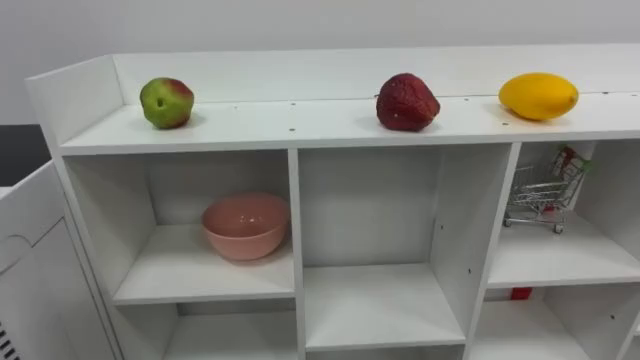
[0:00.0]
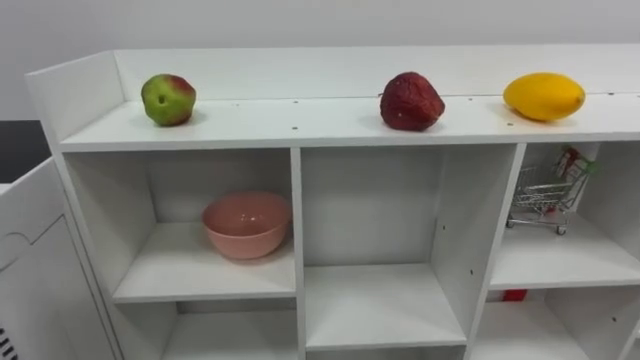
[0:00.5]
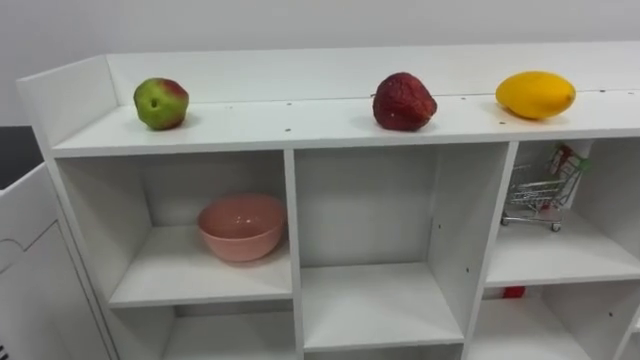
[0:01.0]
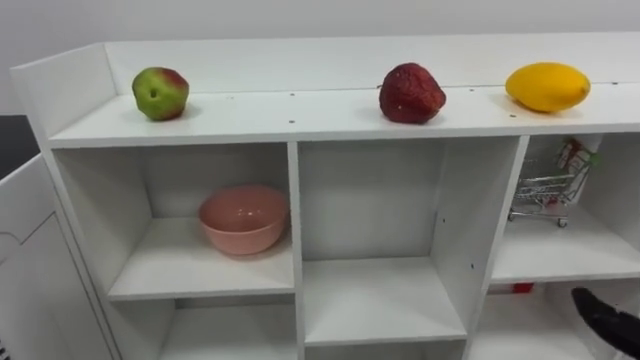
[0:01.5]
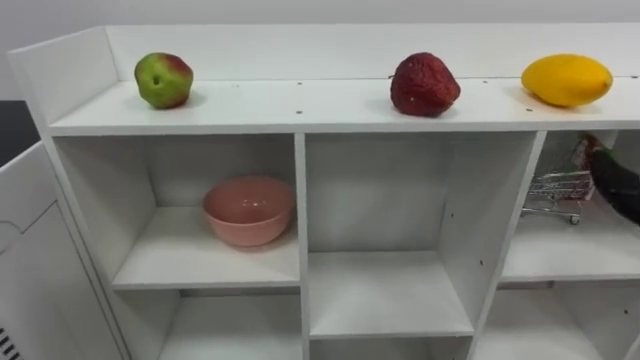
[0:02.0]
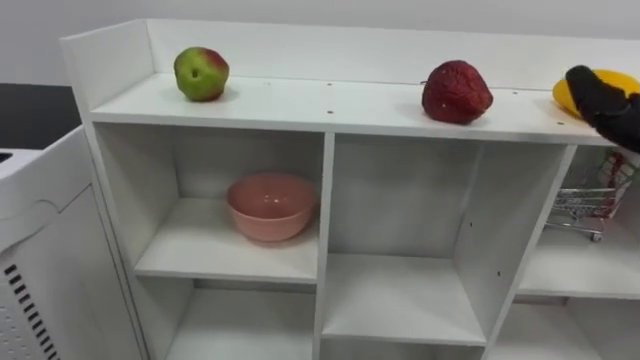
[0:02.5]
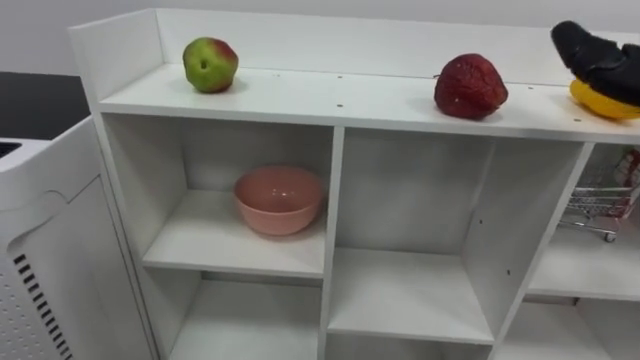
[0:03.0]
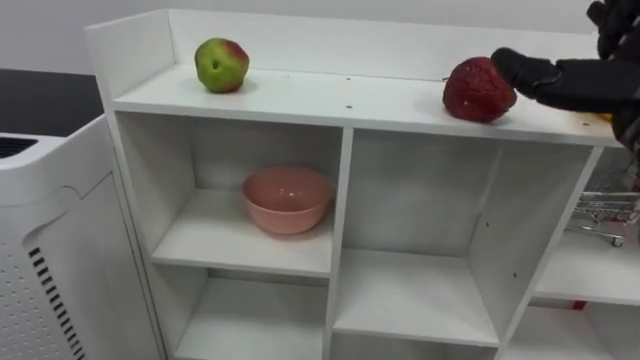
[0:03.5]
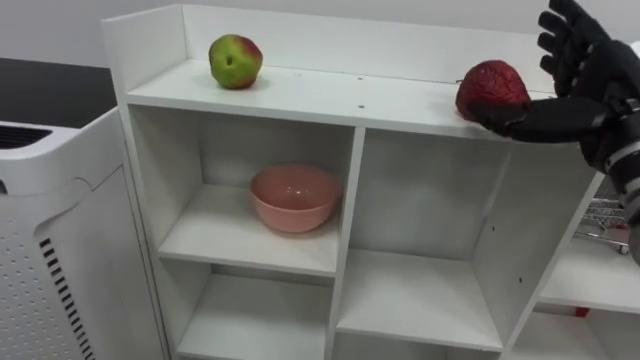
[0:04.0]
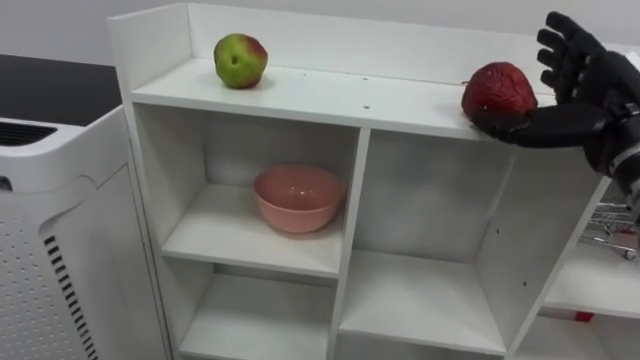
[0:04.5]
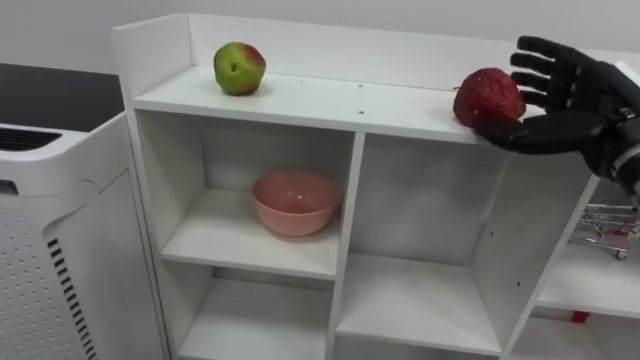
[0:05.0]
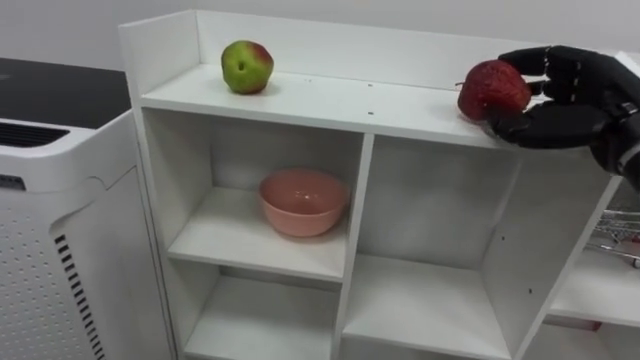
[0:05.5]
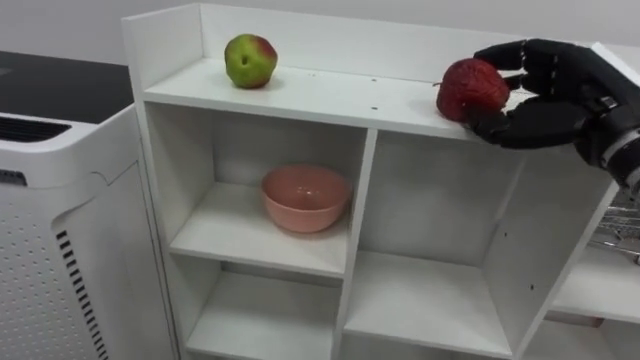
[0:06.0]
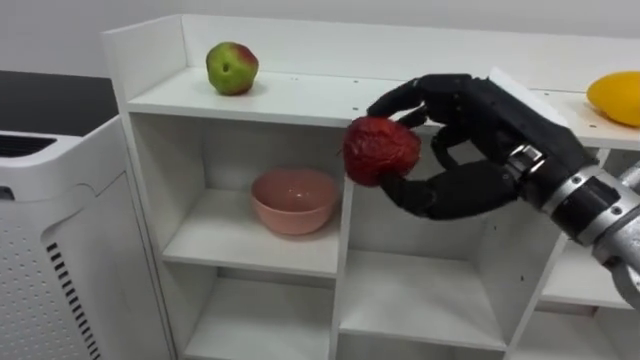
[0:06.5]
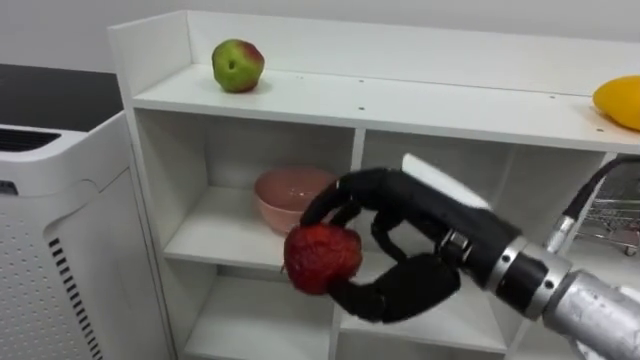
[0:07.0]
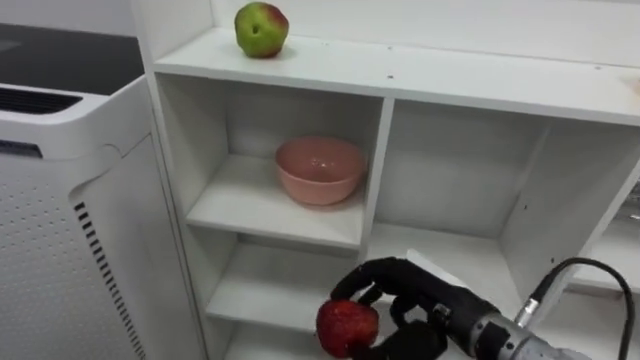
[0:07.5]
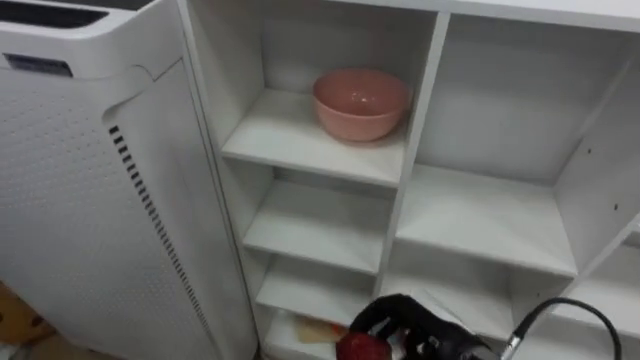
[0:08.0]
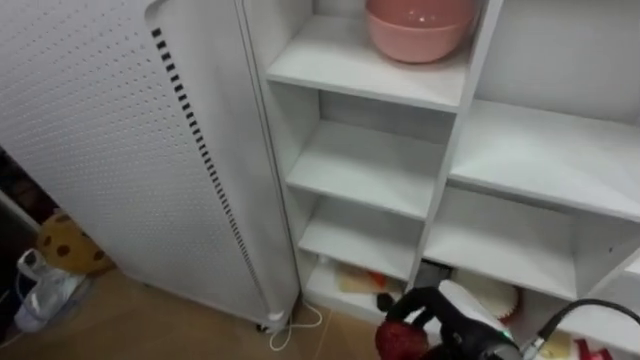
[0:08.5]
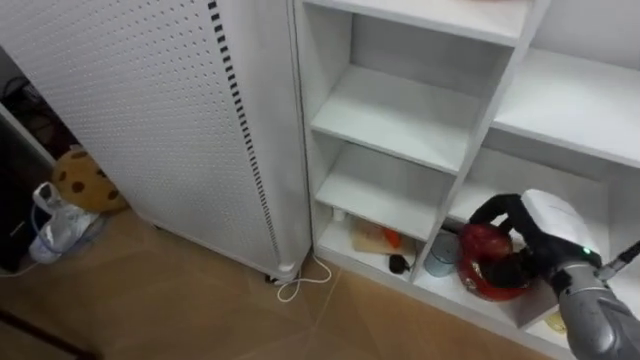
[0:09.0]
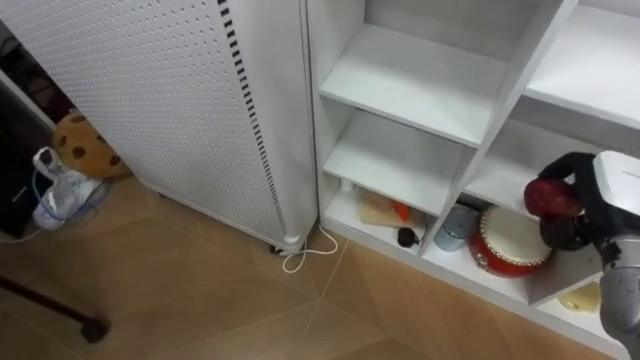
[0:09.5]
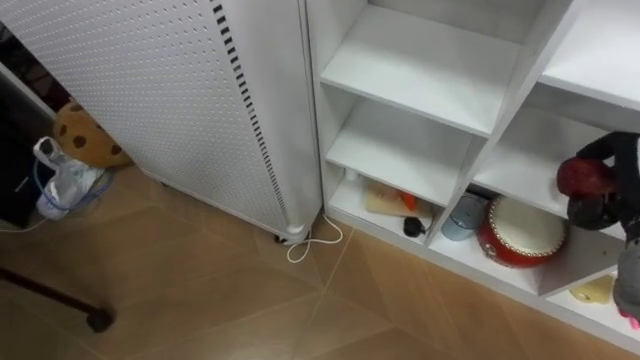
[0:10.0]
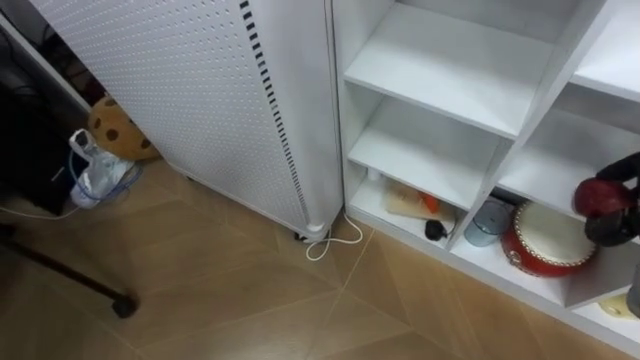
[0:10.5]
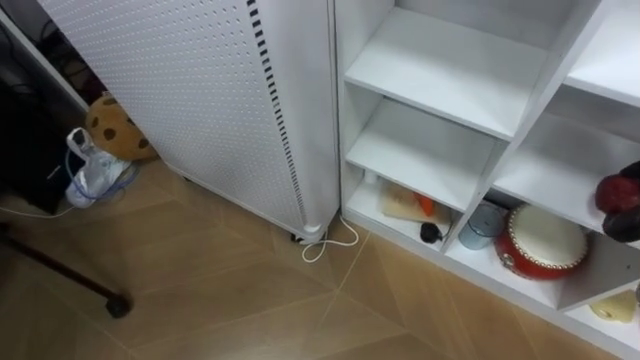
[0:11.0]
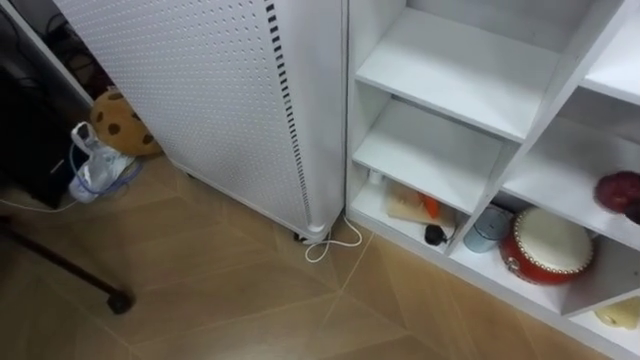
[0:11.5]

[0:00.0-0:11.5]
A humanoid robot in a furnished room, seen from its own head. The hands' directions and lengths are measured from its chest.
Task of the whole recording: Put the apple in the cell in the second column from the left and the second row from the top.
0:04.0 to 0:06.0: The right hand closes up.
0:06.0 to 0:07.5: The right hand travels downward and to the left by about 20 cm.

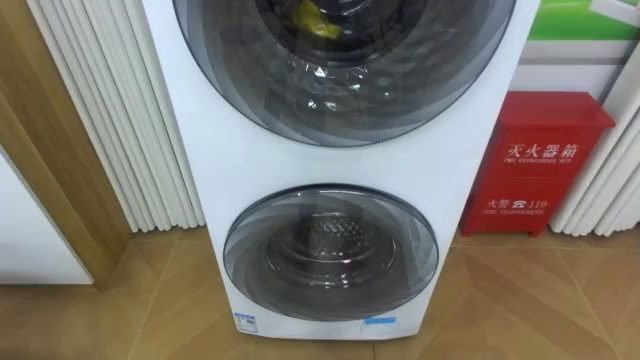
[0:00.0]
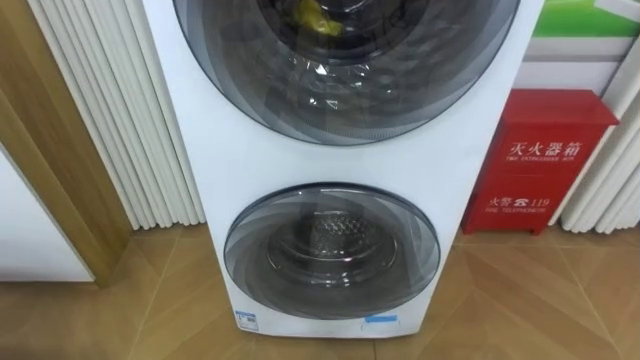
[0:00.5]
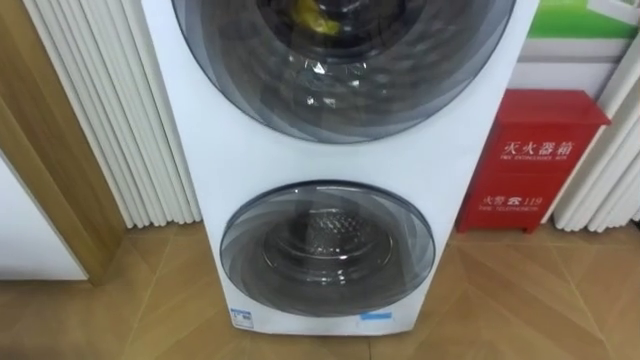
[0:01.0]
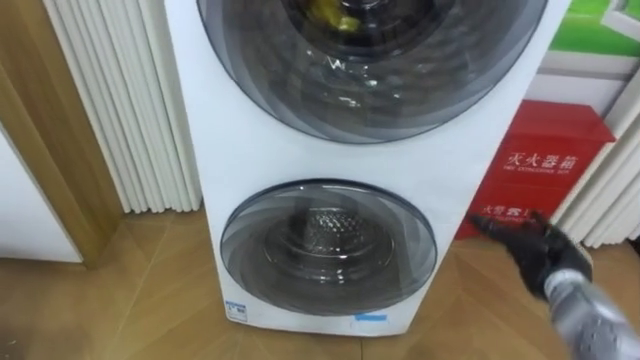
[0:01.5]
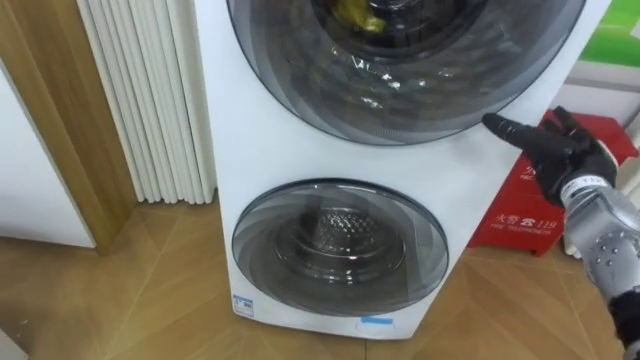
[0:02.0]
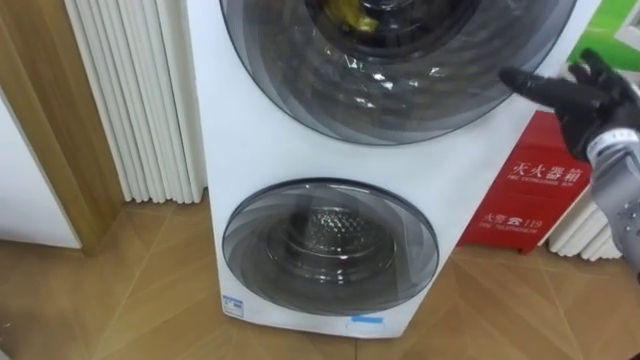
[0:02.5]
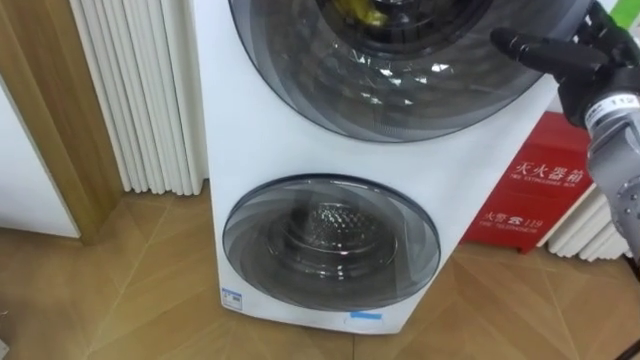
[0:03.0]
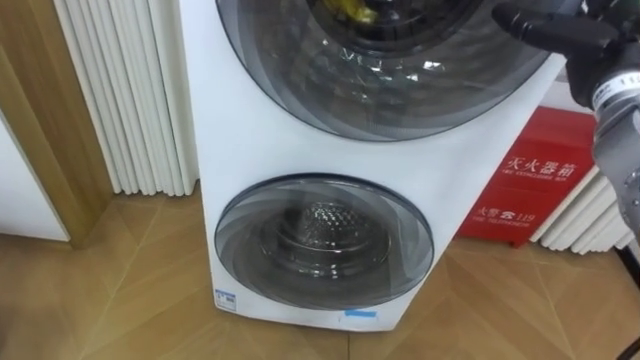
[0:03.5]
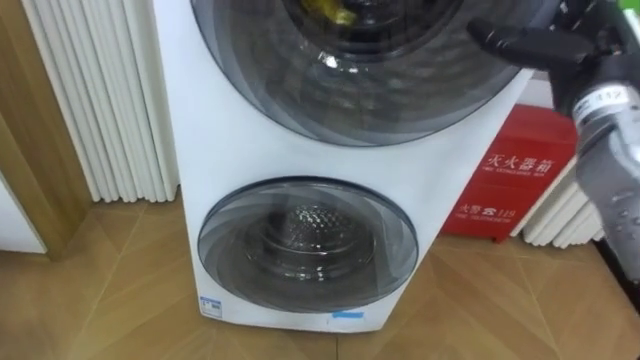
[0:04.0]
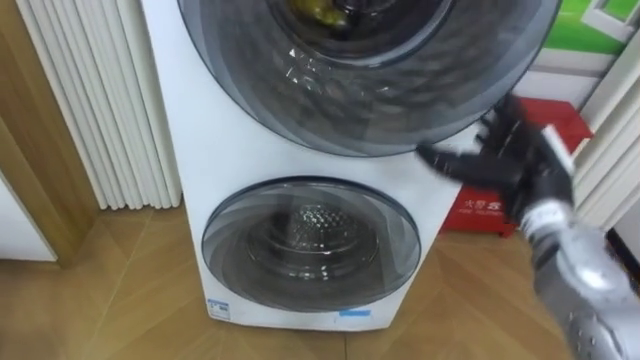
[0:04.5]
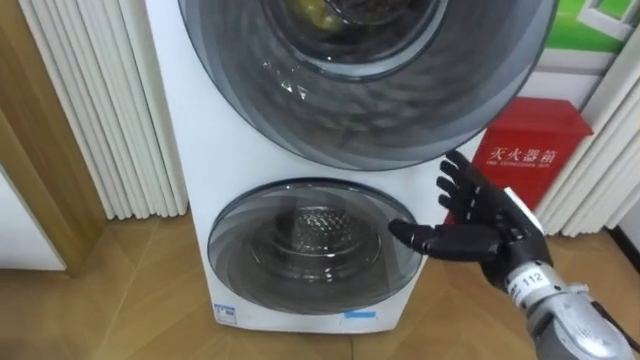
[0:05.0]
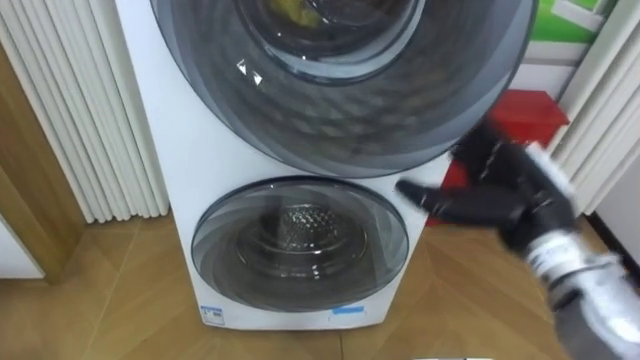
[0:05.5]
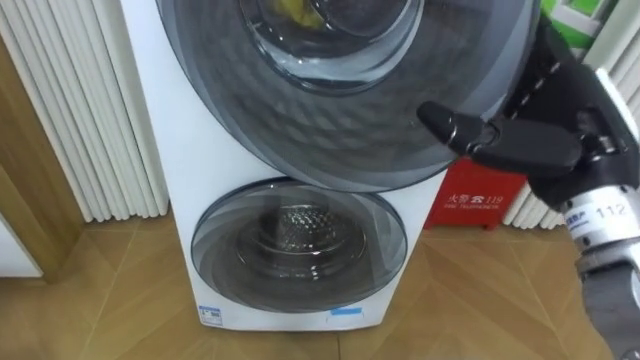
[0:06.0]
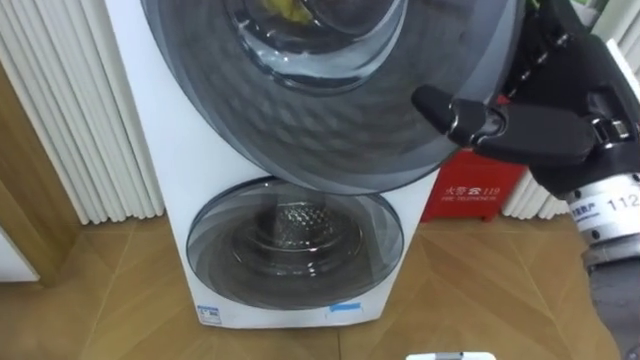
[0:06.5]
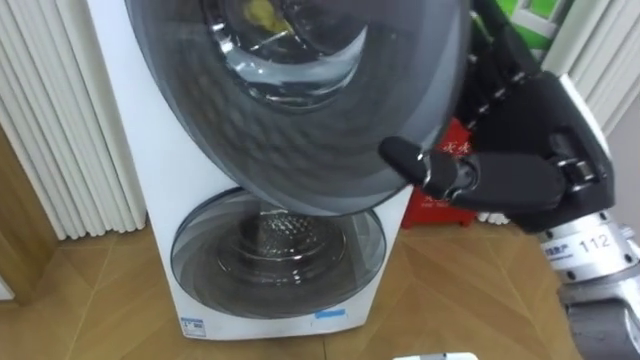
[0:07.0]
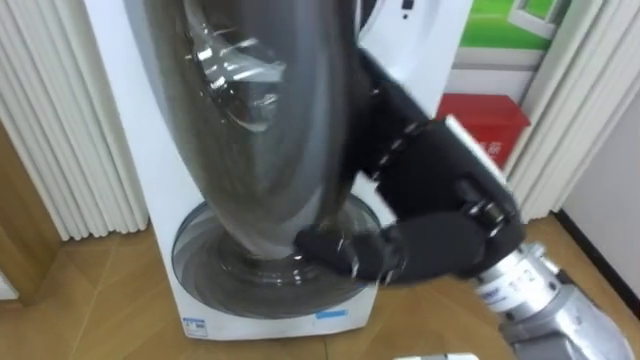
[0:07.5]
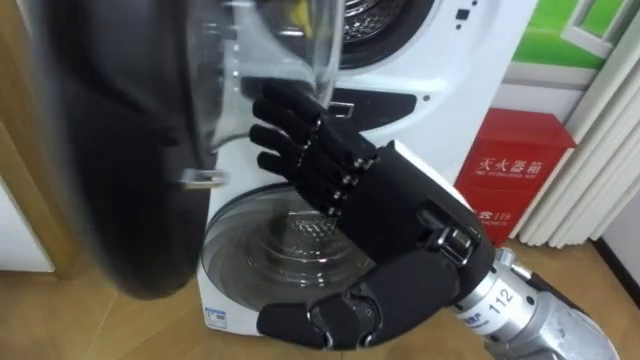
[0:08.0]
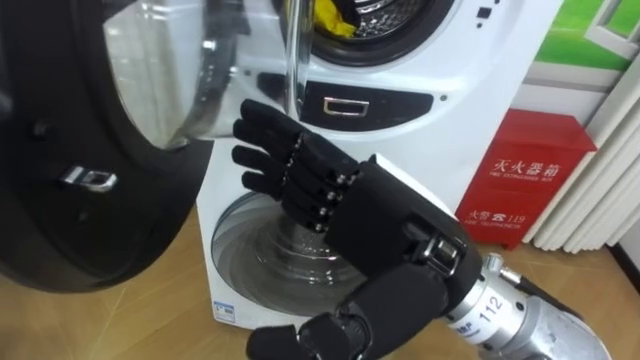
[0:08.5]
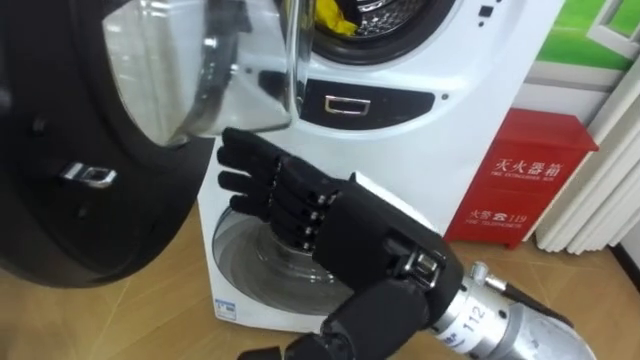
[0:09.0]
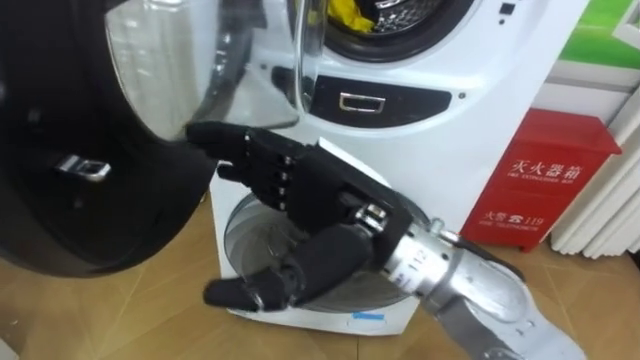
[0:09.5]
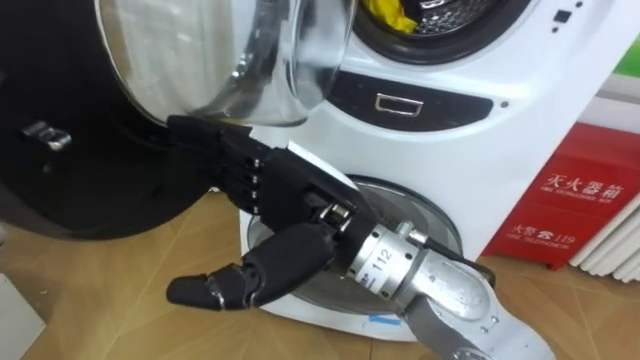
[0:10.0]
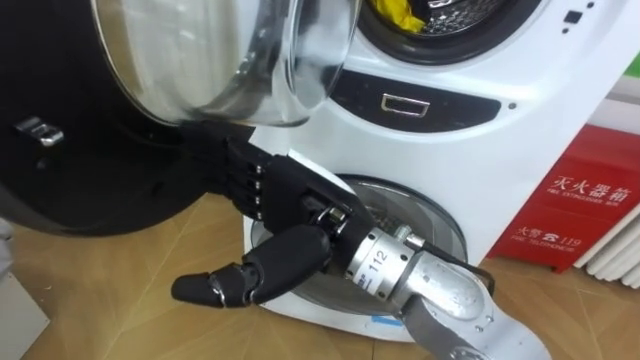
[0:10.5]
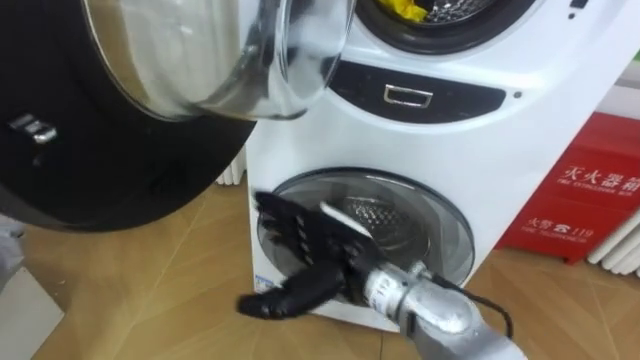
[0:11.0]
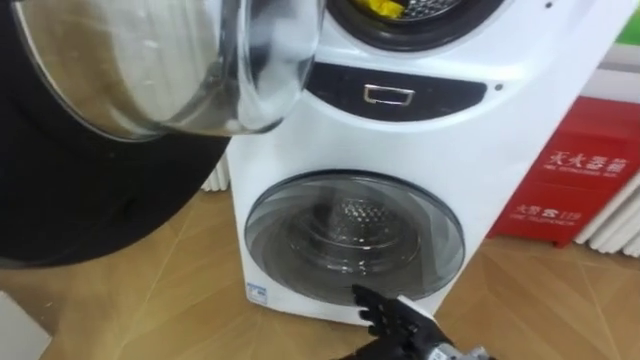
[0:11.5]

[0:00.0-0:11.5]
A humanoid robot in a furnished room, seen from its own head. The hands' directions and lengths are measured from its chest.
Task of the whole recording: Open the washing machine door, take out the yellow clothes, place them in the box on the right, and close the washing machine door.
0:02.0 to 0:04.0: The right hand heads upward, covering roughly 15 cm.
0:04.0 to 0:06.0: The right hand heads backward, covering some 10 cm, and moves roughly 15 cm downward and comes back.
0:06.0 to 0:07.5: The right hand goes some 10 cm to the left.
0:07.5 to 0:09.5: The right hand is displaced to the left by roughly 10 cm.
0:09.5 to 0:11.5: The right hand travels downward by roughly 25 cm.
